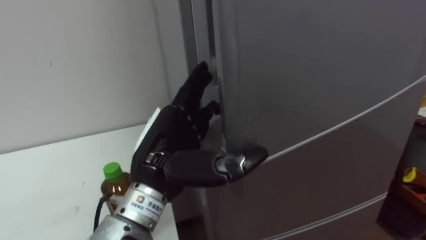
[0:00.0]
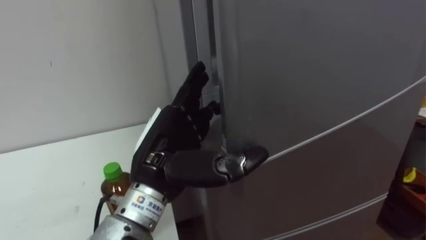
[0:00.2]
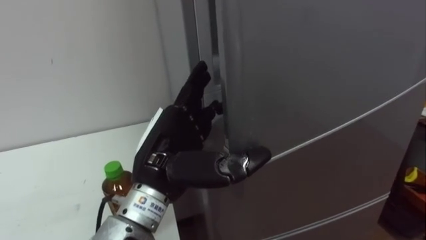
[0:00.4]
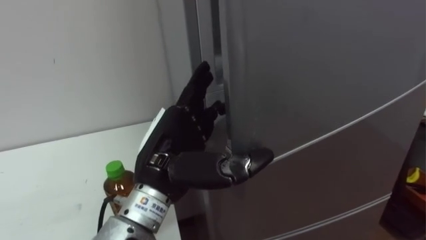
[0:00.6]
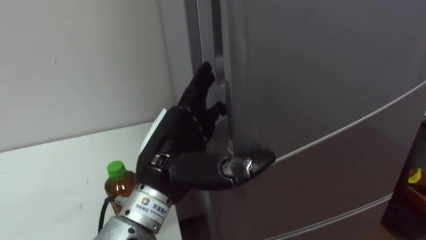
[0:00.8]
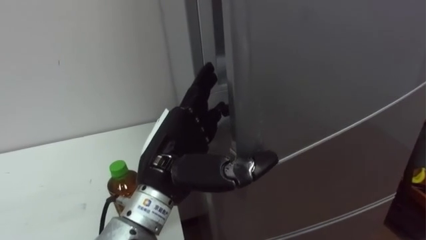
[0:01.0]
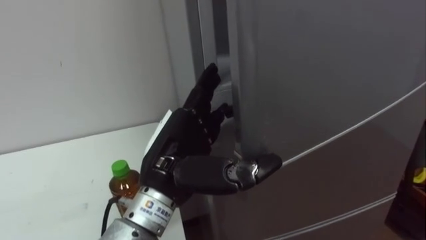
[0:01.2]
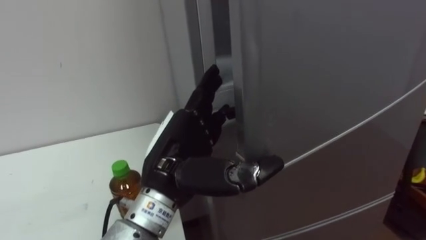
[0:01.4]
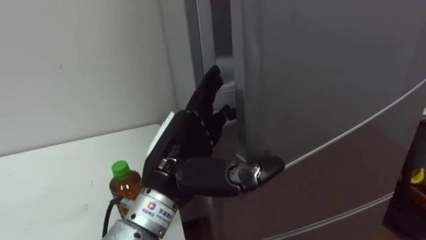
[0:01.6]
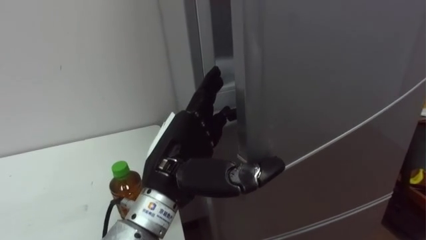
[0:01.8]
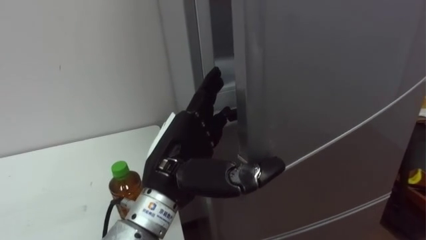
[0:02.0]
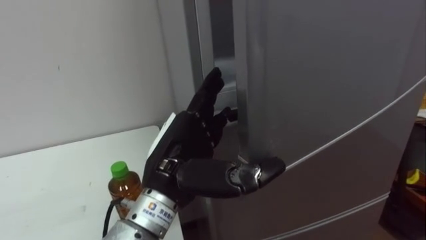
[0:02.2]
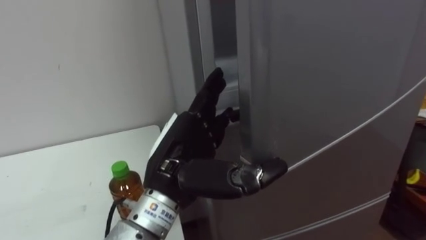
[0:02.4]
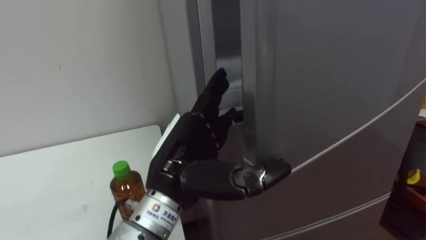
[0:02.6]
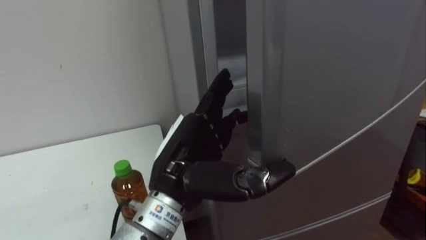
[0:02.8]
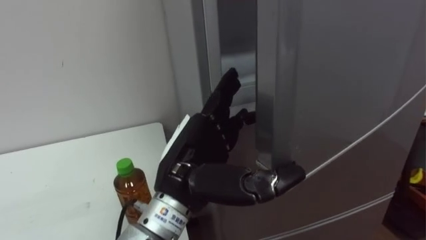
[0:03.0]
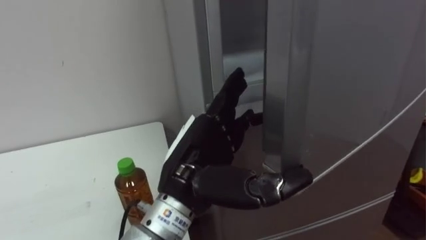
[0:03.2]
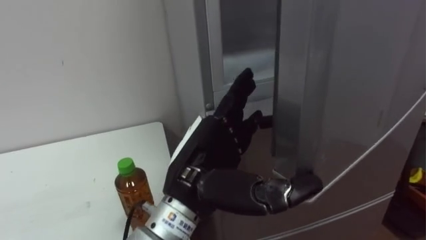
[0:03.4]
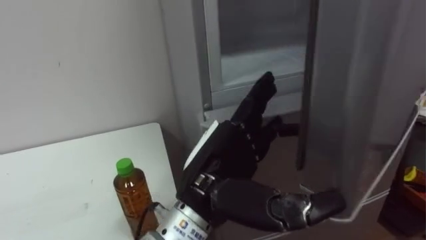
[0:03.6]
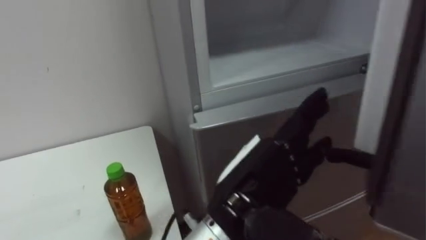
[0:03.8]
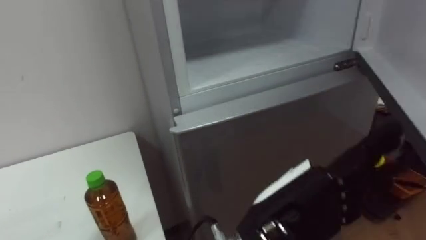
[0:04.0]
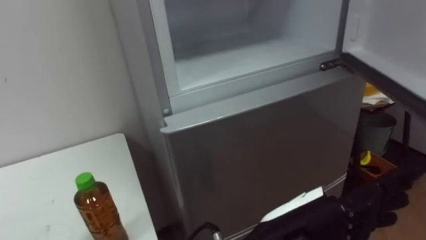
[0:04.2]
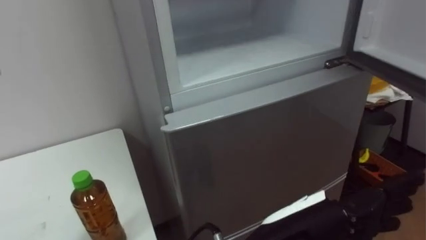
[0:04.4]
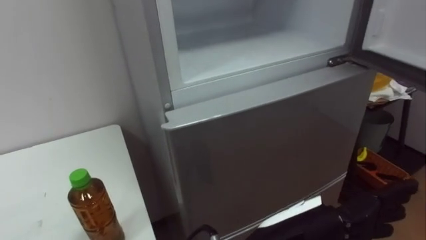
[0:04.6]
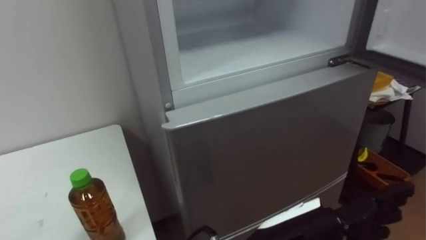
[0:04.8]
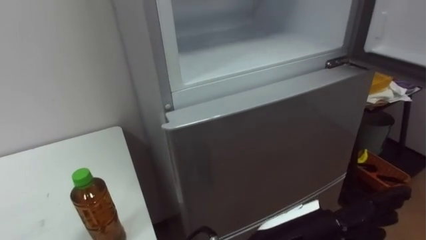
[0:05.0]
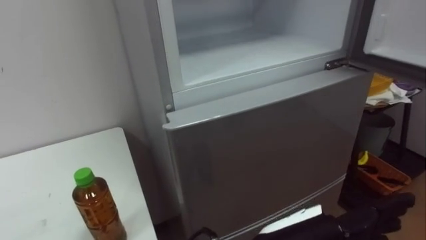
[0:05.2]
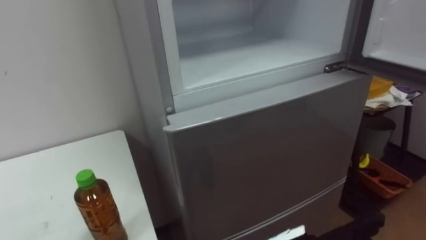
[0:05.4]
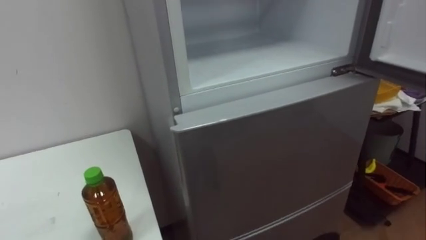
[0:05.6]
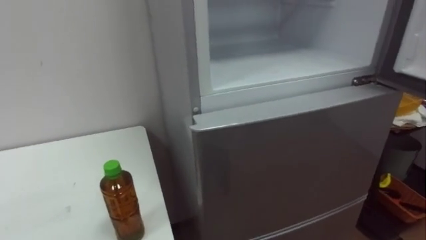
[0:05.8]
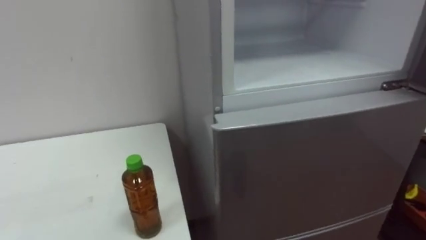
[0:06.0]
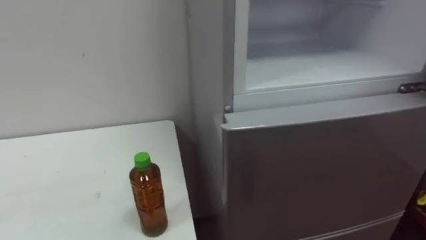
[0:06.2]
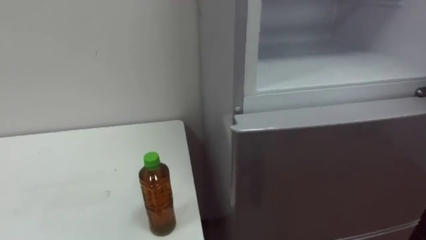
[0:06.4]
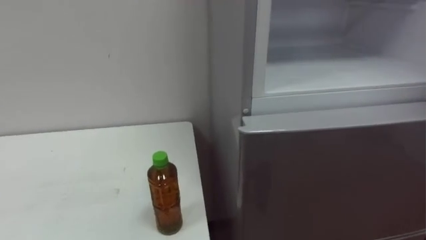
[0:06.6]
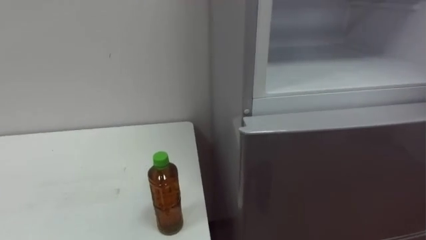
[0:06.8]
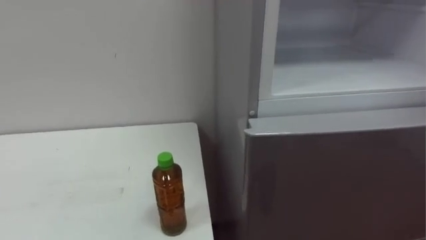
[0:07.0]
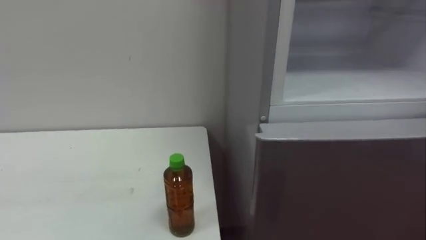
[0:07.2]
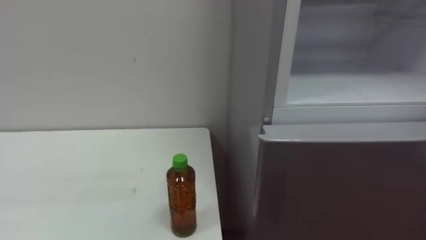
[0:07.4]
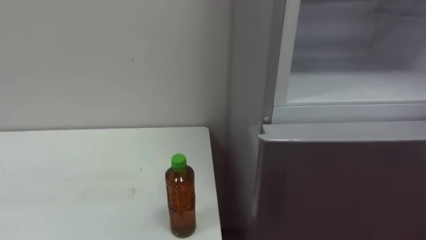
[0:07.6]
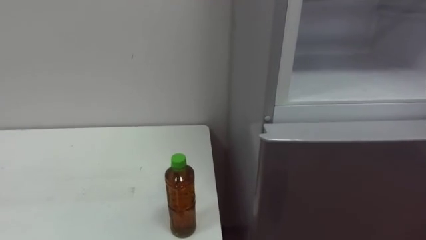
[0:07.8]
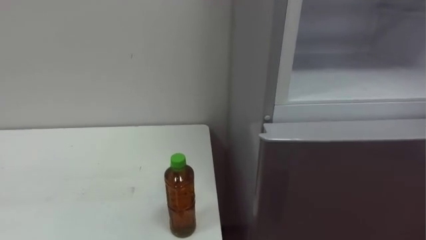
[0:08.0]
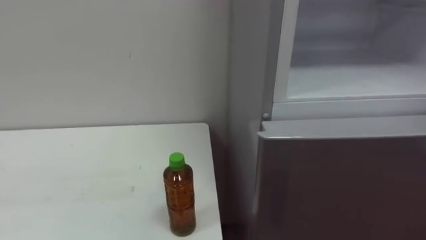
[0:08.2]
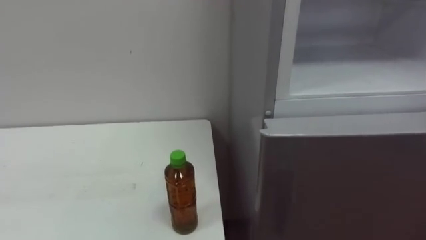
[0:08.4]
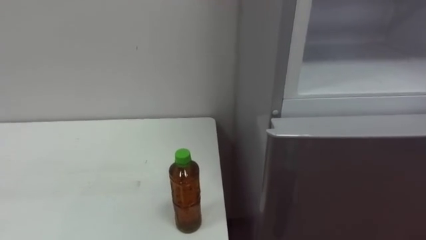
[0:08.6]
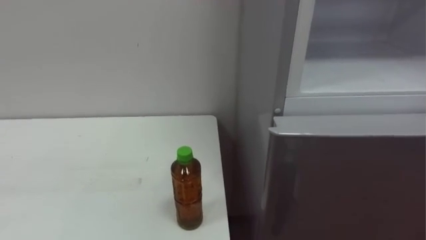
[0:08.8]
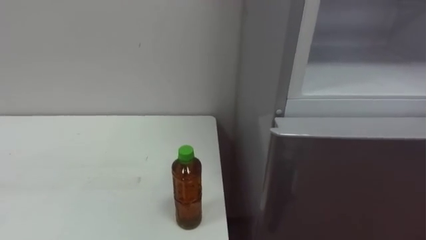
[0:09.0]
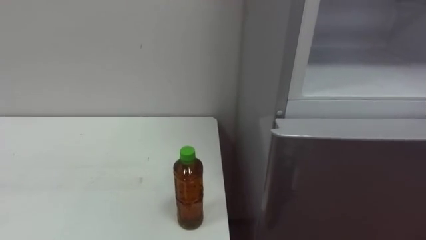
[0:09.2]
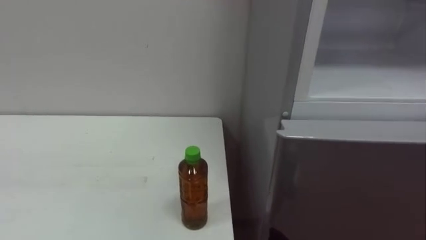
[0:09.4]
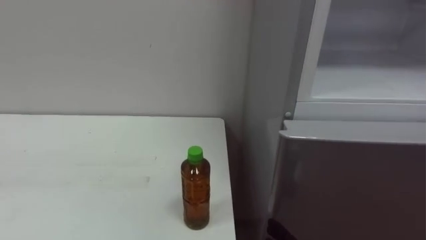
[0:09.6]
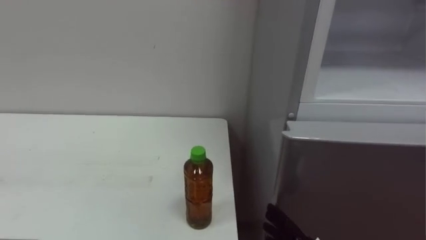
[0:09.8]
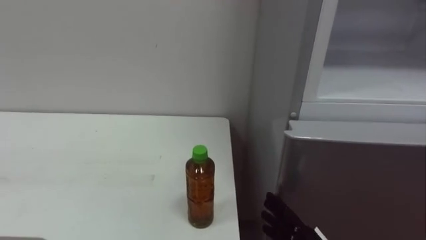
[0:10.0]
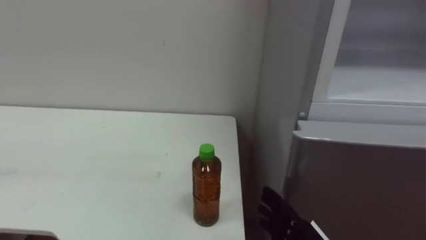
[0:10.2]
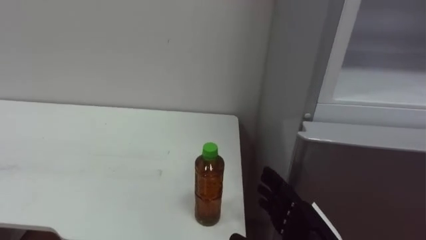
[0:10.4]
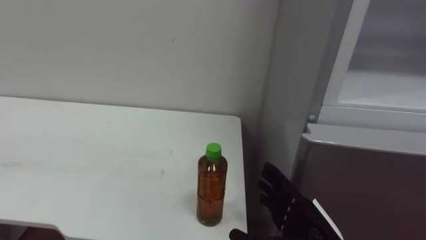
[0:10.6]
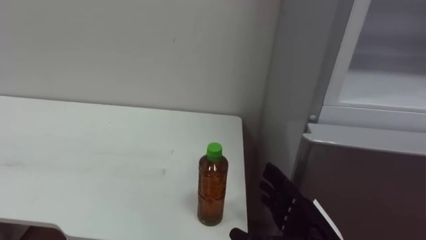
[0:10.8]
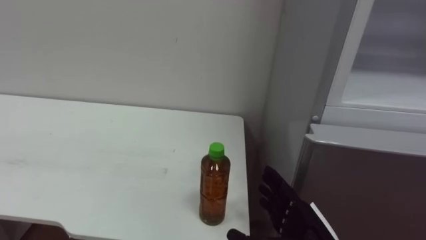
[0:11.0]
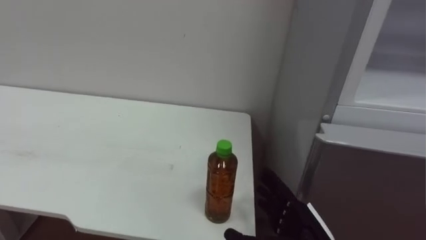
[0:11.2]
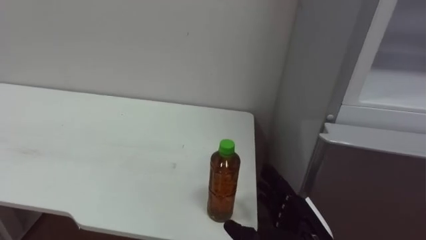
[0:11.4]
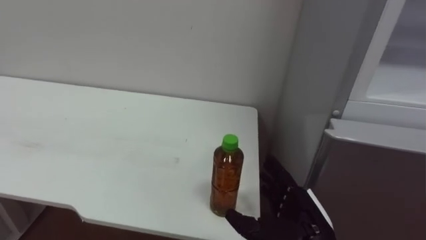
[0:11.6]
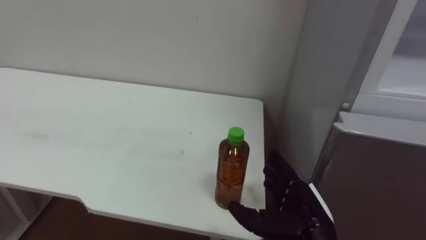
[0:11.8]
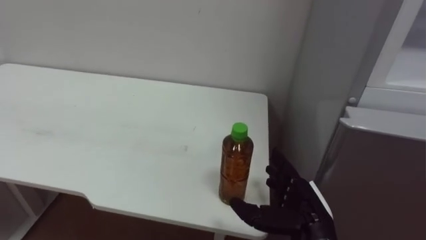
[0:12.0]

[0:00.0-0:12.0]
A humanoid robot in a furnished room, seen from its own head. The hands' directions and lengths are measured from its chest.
Task of the whole recording: Open the upper refrigerator door, put the drink from the table into the refrigerator, and then close the refrigerator door.
0:03.0 to 0:04.4: The left hand travels to the right and backward by about 15 cm.

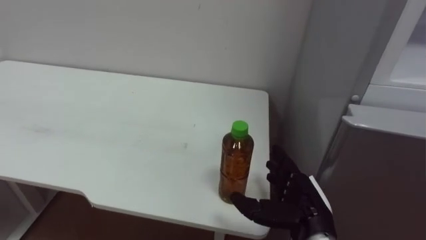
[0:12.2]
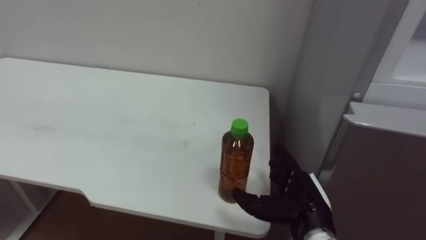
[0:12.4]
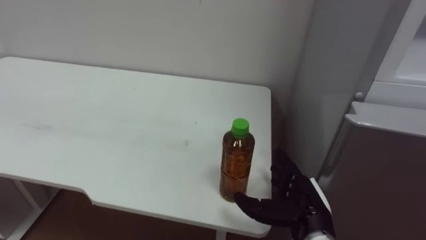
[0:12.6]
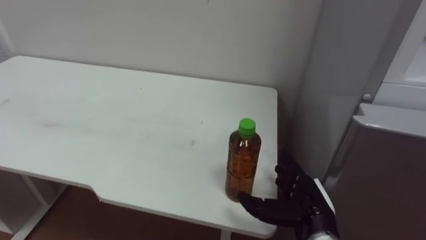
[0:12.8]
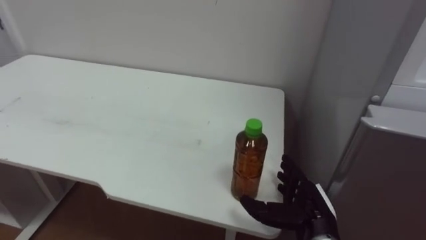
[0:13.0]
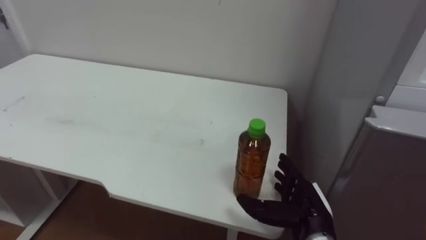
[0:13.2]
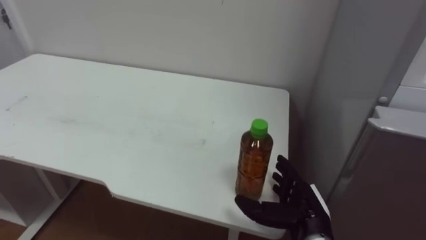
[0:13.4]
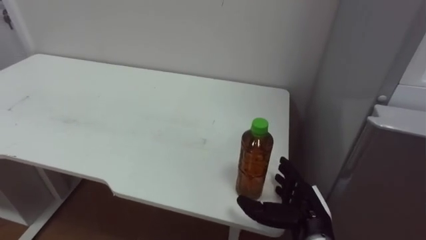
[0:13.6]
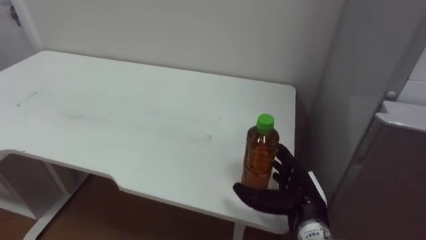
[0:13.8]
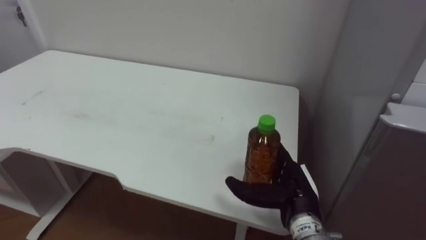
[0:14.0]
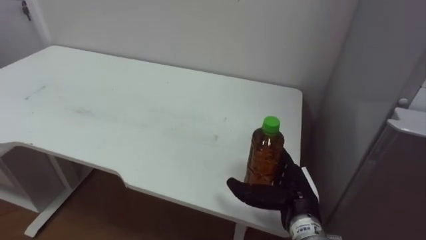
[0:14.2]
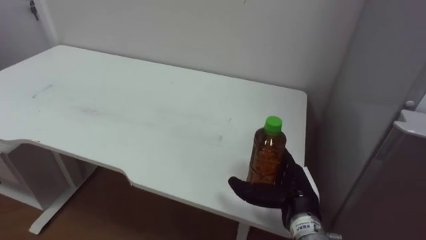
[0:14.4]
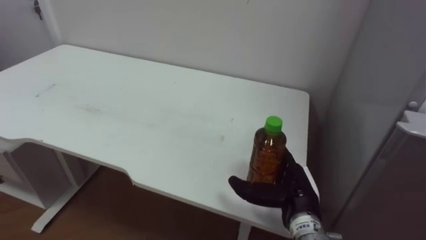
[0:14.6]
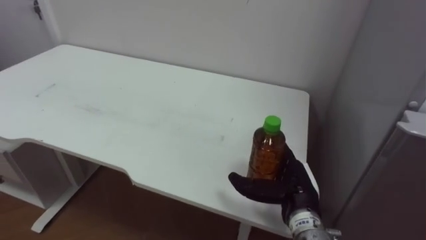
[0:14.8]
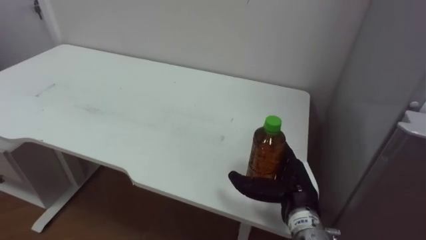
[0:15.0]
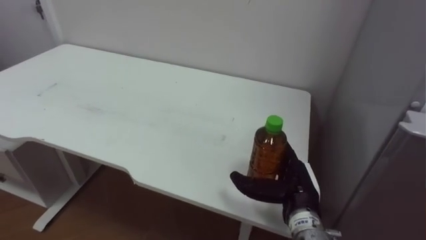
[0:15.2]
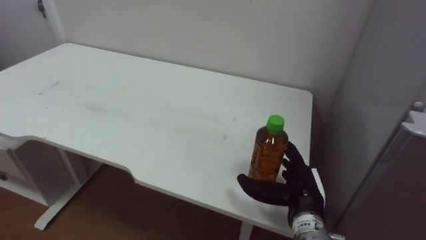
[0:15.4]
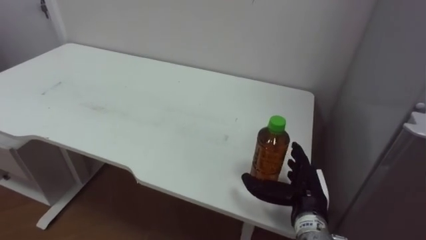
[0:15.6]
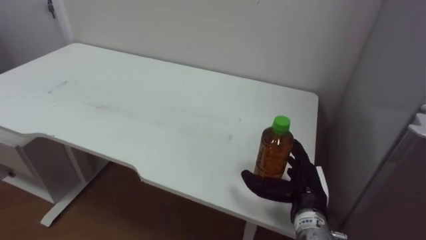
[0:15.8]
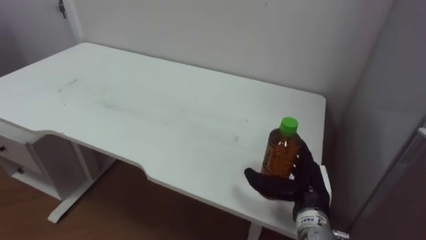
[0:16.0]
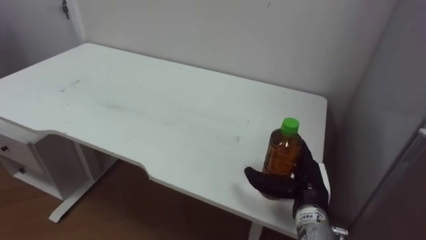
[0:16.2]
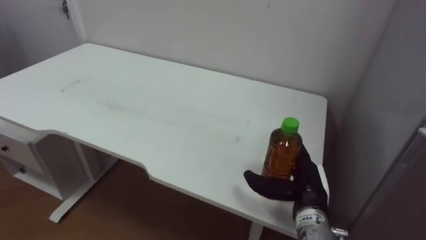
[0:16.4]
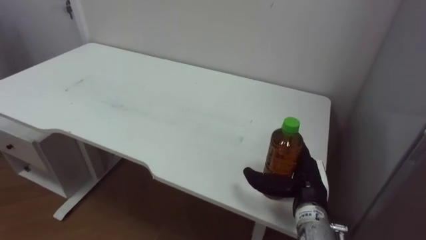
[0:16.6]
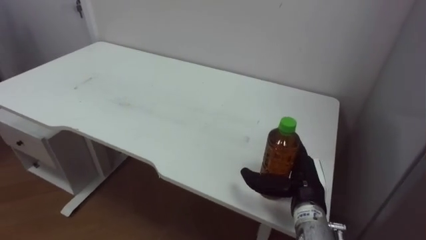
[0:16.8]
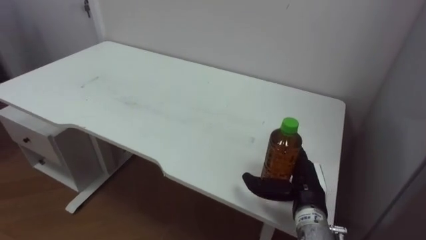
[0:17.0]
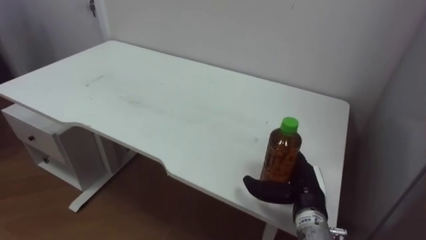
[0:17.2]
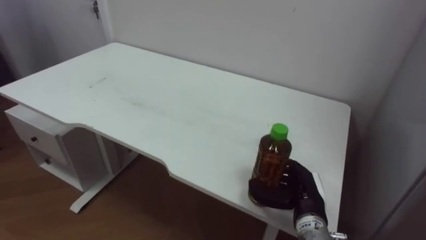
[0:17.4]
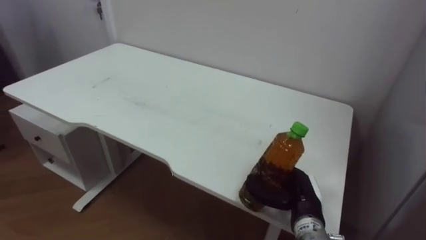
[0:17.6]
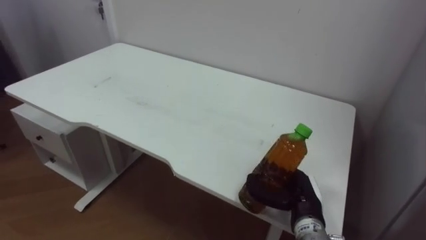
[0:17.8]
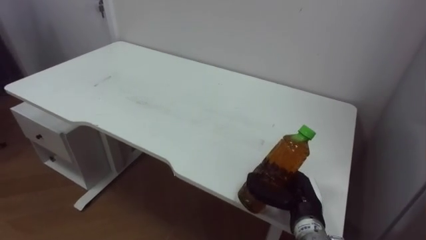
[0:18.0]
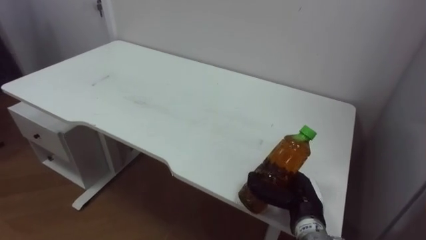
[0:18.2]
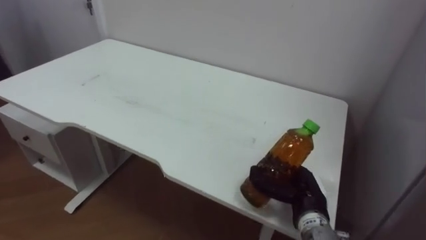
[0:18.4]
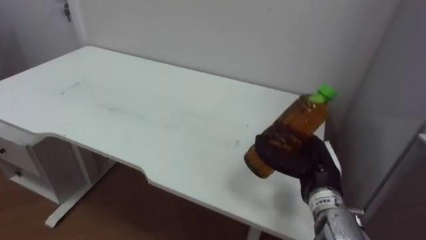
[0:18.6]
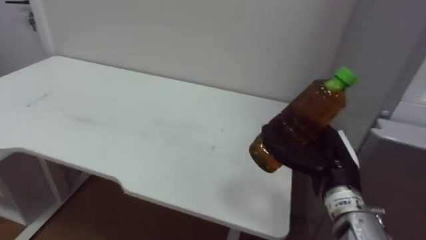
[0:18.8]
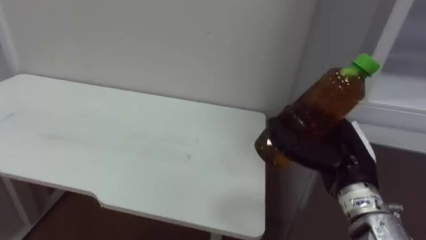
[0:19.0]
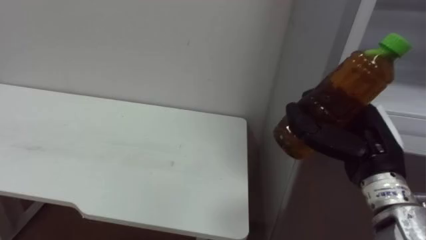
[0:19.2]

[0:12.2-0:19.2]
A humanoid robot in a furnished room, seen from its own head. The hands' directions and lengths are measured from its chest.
Task of the whole recording: Open the upper refrigerator door, put the drink from the table into the refrigerator, and then close the refrigerator door.
0:16.4 to 0:17.8: The right hand closes.
0:17.8 to 0:19.2: The right hand moves upward, some 15 cm.
